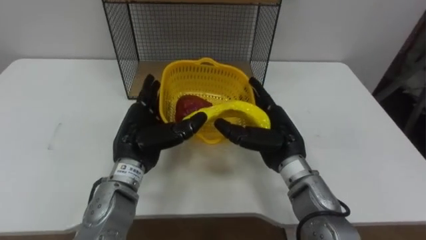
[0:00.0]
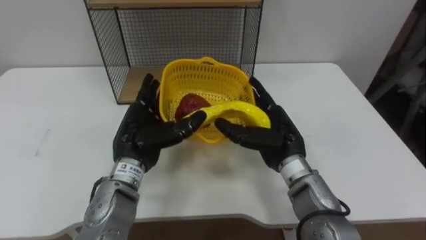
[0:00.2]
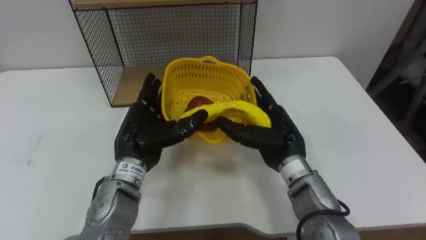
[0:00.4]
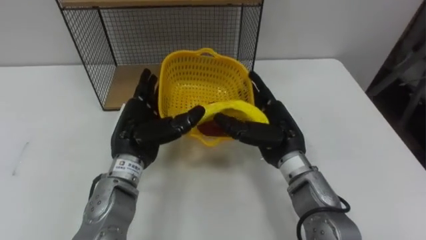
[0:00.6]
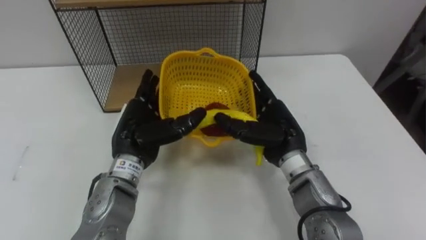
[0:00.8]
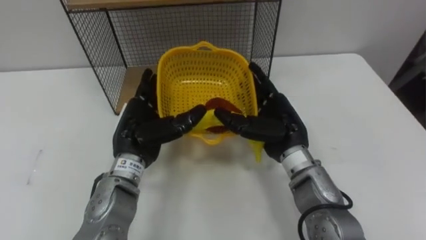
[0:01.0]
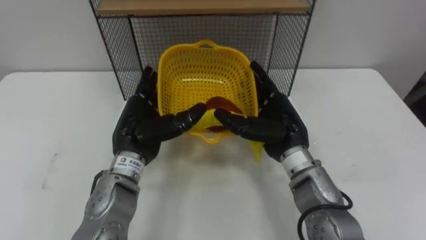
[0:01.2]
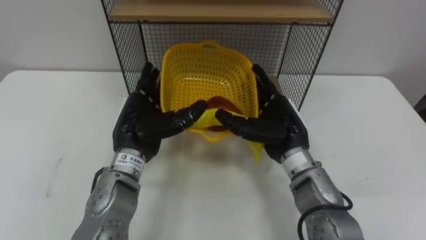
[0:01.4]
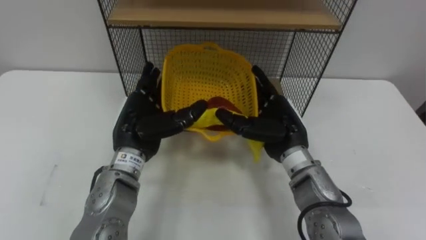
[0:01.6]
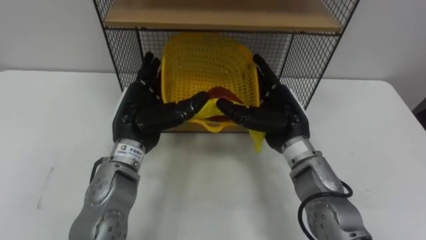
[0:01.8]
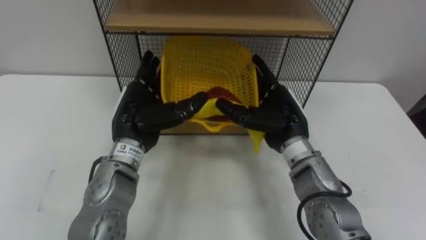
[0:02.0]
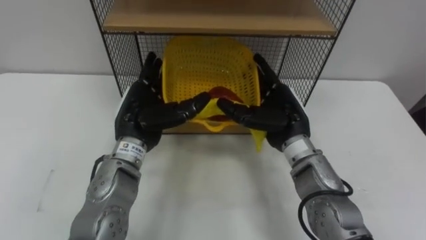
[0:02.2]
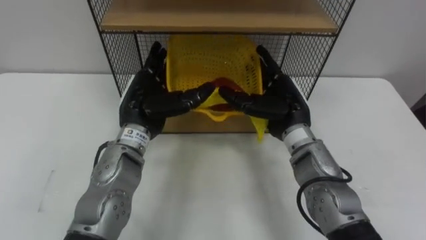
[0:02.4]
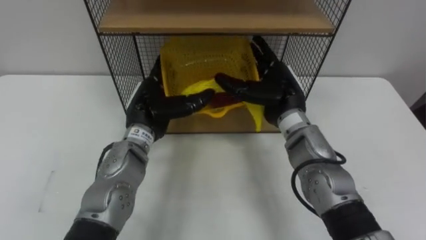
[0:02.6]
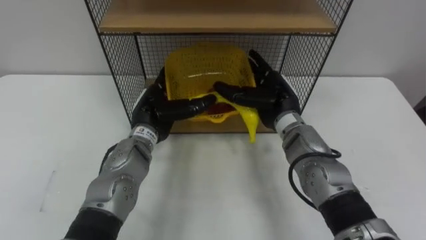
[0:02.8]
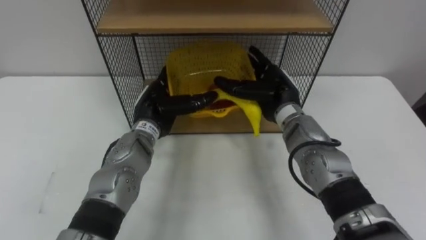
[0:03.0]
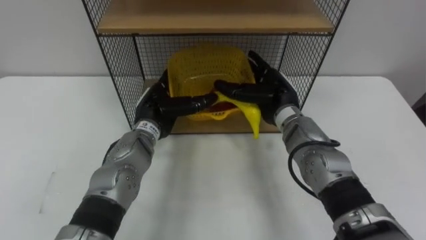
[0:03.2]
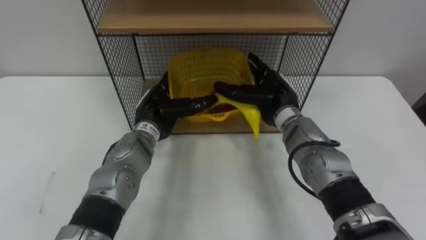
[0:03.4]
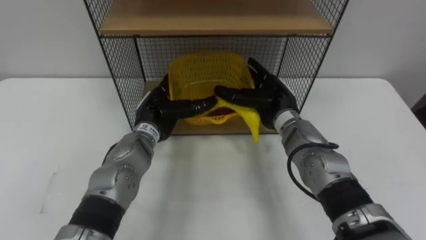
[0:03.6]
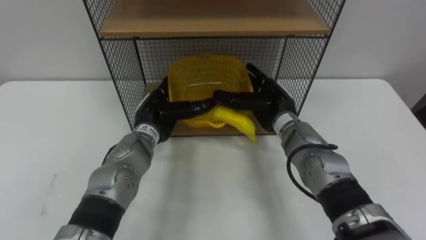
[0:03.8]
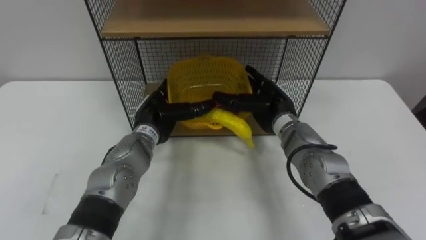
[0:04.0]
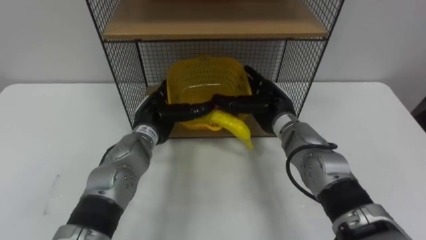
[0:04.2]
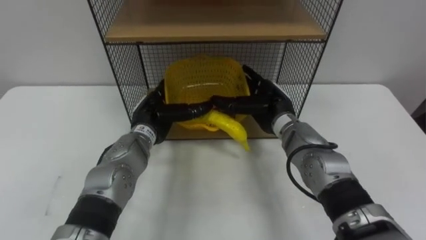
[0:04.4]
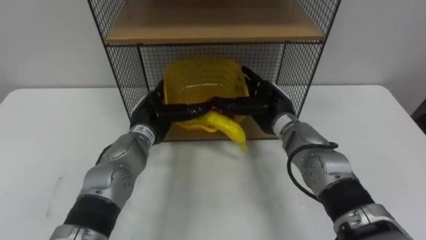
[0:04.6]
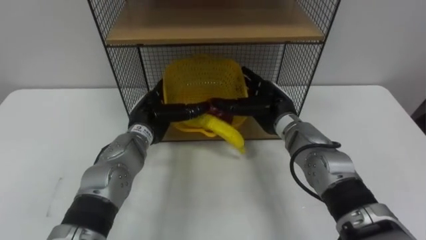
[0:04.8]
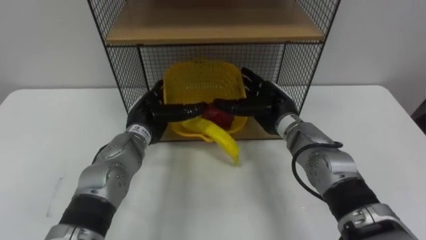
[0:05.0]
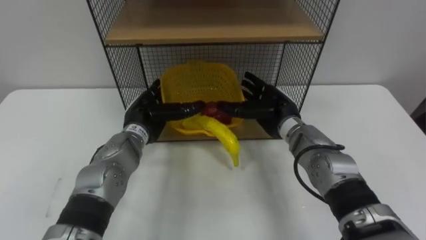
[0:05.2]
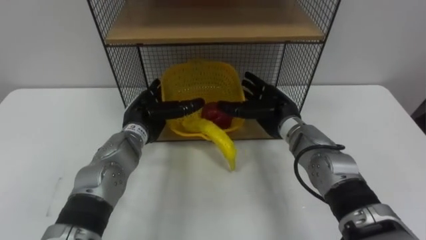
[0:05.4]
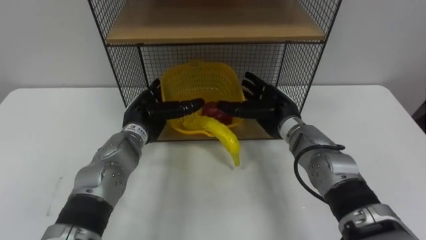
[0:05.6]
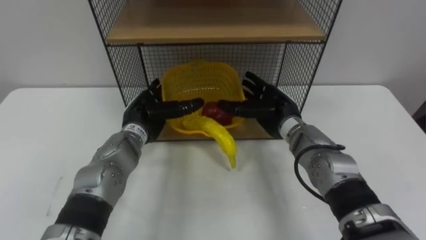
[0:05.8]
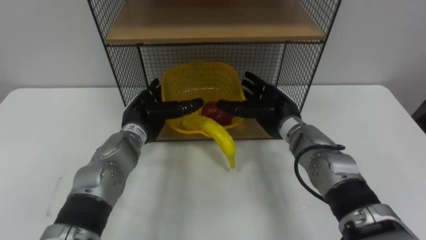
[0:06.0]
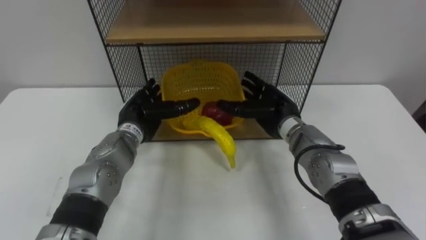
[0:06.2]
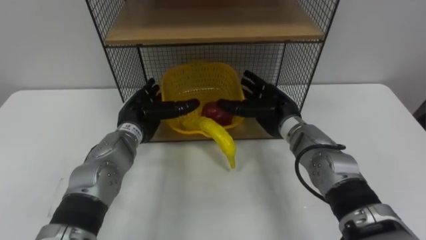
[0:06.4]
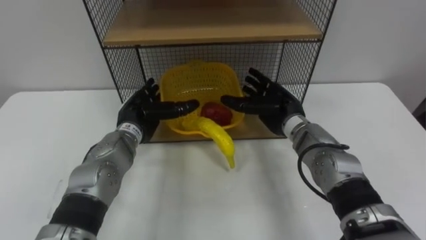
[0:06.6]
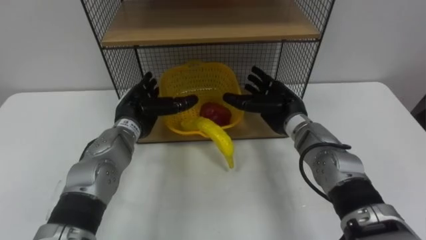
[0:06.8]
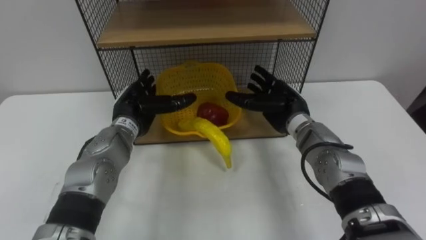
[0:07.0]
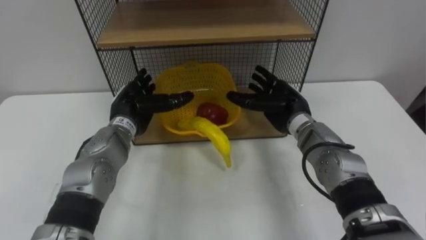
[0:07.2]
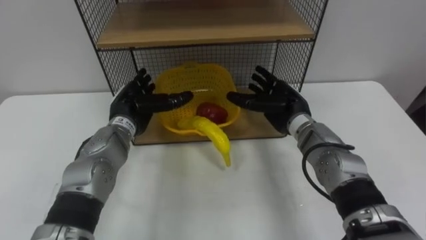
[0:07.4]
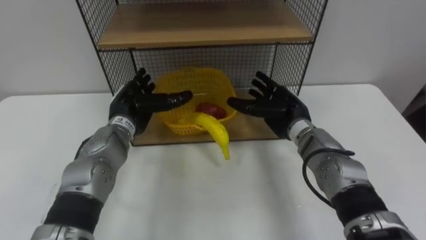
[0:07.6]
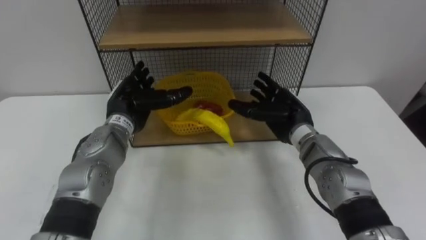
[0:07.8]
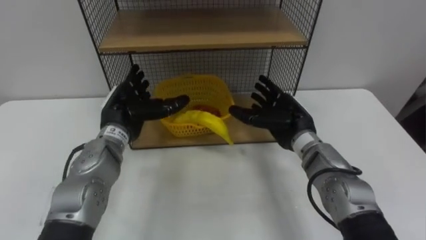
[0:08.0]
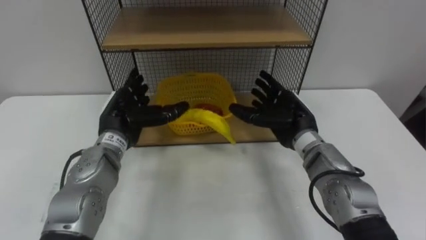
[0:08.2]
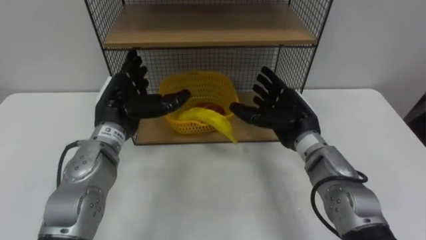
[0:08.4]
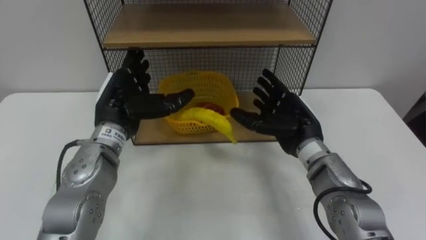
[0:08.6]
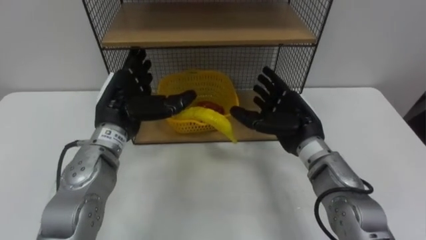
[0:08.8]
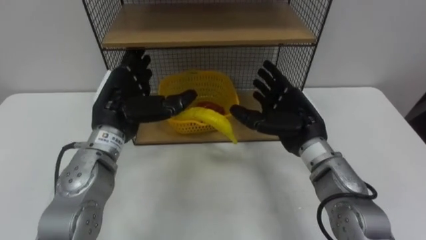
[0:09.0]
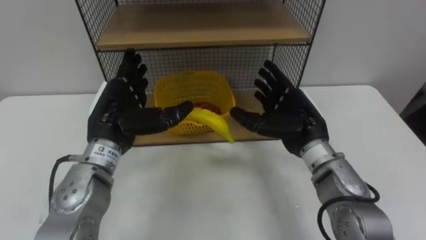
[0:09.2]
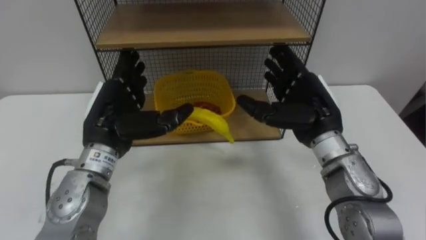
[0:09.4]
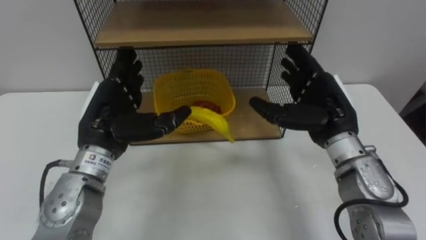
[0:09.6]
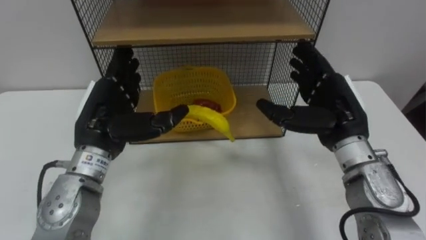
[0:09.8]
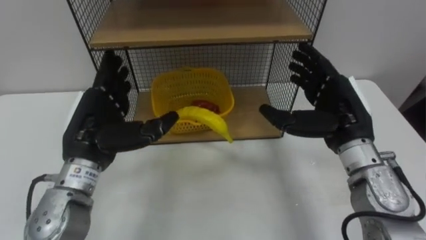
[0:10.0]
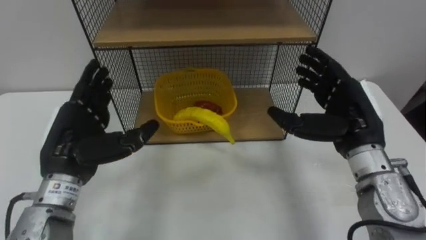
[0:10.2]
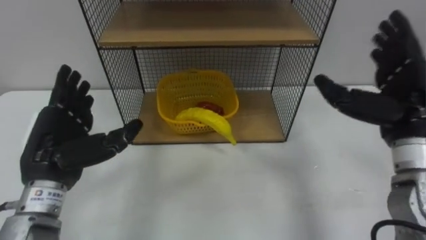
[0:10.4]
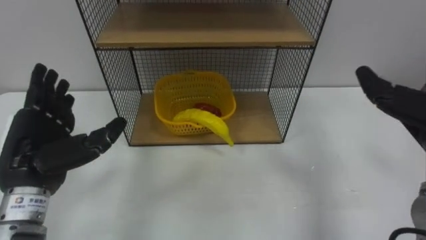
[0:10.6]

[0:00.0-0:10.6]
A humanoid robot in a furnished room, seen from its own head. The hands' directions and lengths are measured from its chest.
Task of the whole recording: Put the fruit on the table into the basket, then place the basket on the shelf.
0:01.6 to 0:03.0: Both hands travel together forward, approximately 5 cm.
0:04.6 to 0:06.0: There are only small adjustments of the hands.
0:07.6 to 0:09.0: The left hand heads upward and backward, covering approximately 10 cm, while the right hand shifts about 5 cm backward.
0:09.0 to 0:10.6: The left hand shifts some 15 cm to the left and backward.

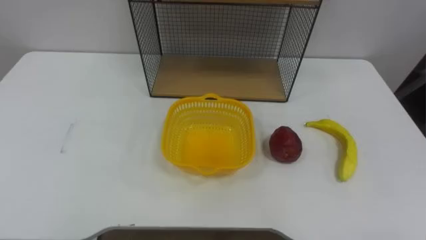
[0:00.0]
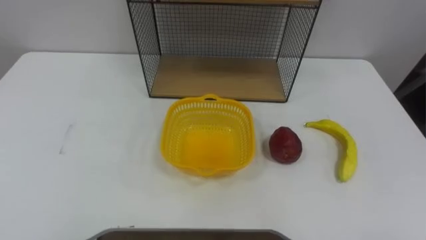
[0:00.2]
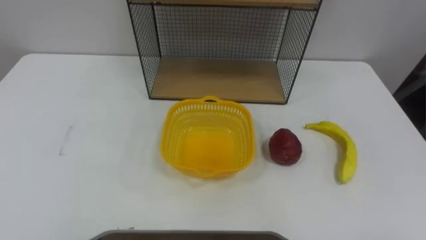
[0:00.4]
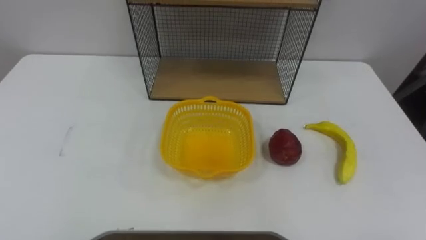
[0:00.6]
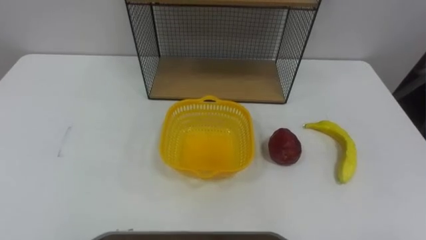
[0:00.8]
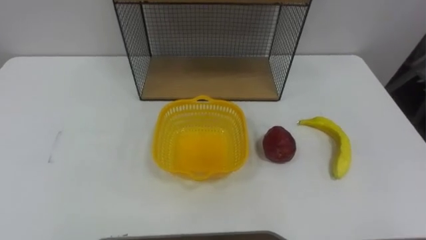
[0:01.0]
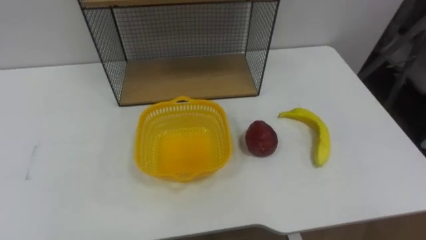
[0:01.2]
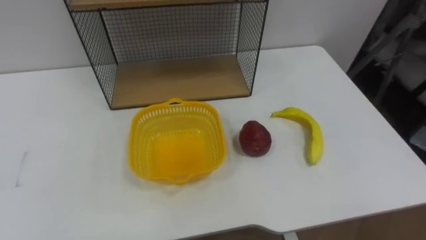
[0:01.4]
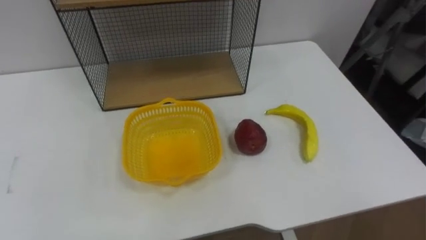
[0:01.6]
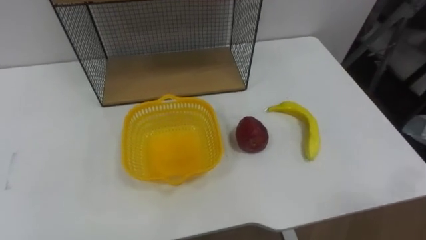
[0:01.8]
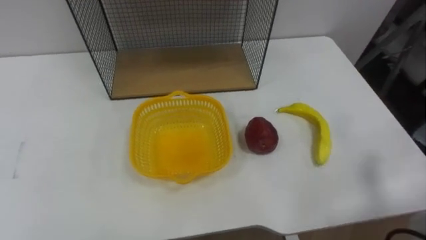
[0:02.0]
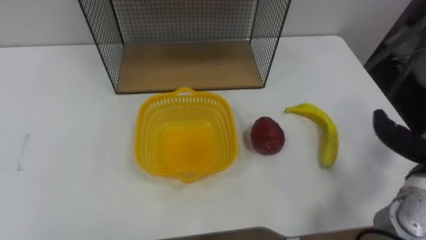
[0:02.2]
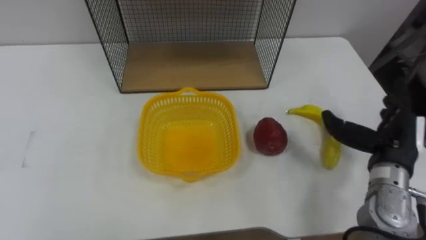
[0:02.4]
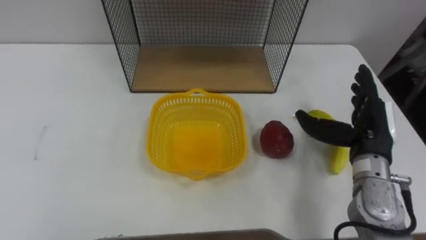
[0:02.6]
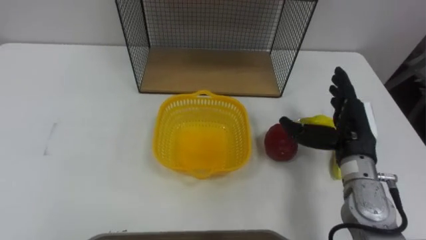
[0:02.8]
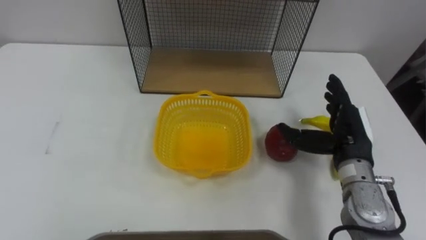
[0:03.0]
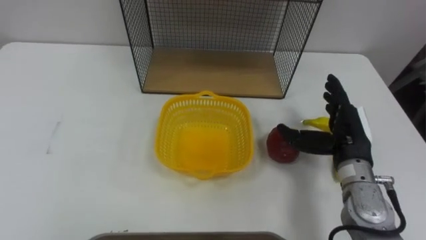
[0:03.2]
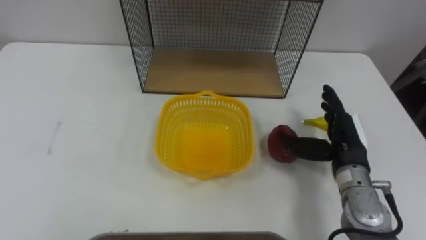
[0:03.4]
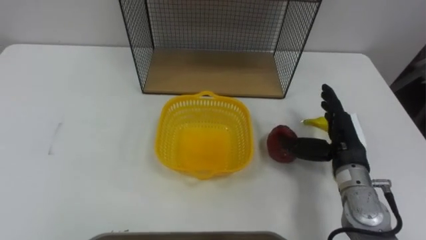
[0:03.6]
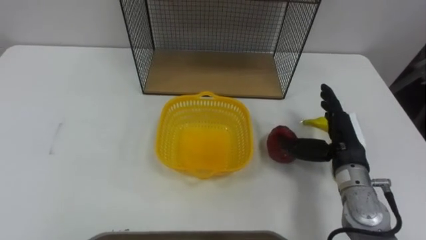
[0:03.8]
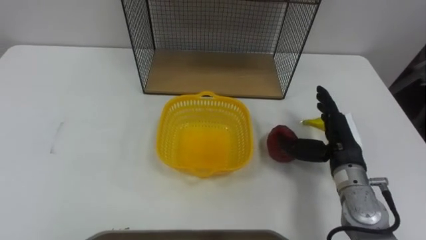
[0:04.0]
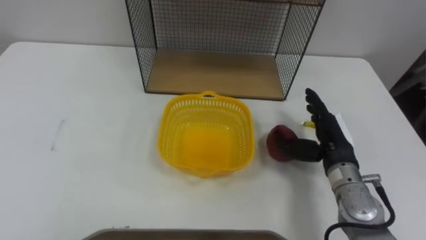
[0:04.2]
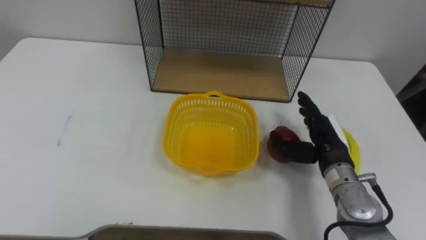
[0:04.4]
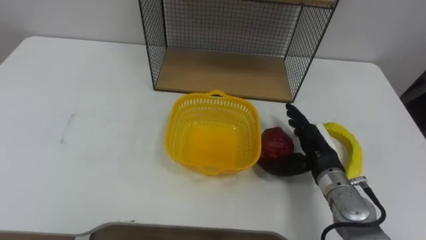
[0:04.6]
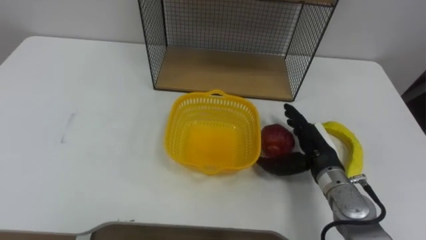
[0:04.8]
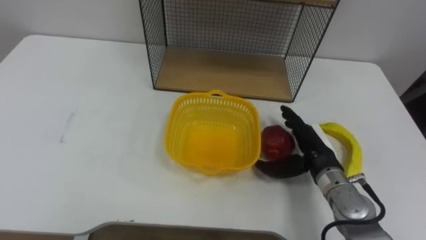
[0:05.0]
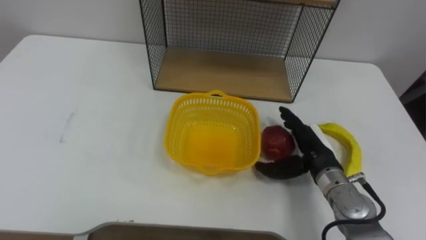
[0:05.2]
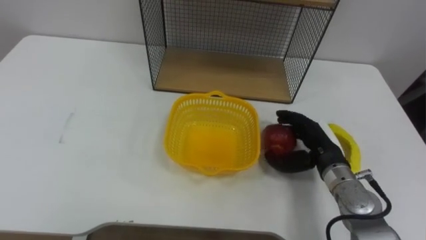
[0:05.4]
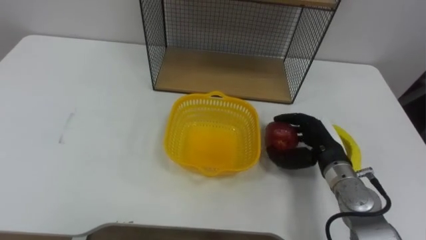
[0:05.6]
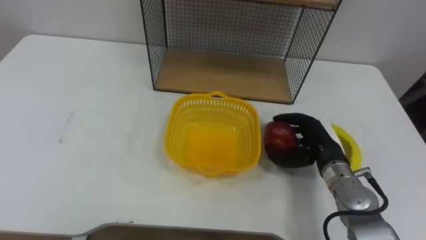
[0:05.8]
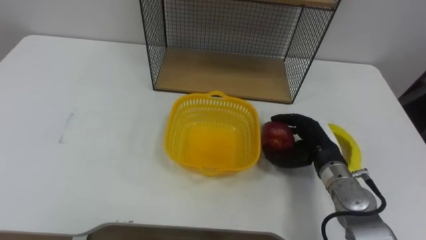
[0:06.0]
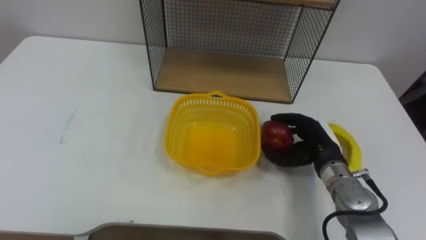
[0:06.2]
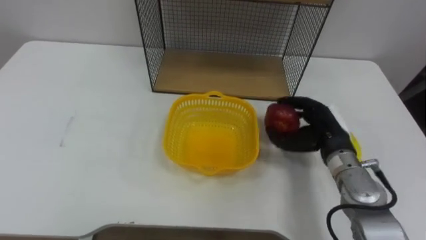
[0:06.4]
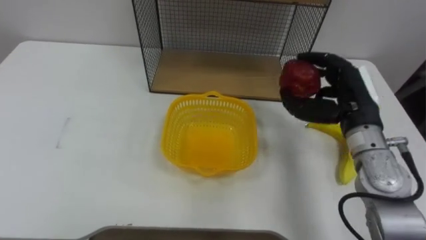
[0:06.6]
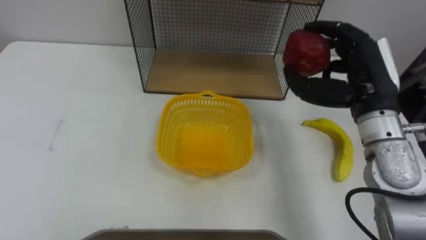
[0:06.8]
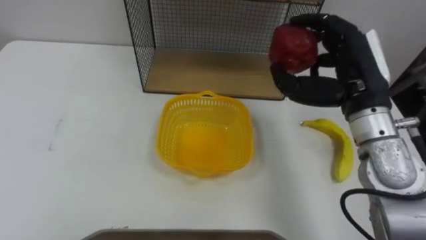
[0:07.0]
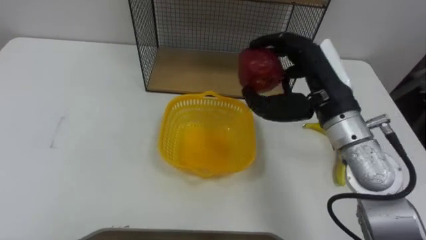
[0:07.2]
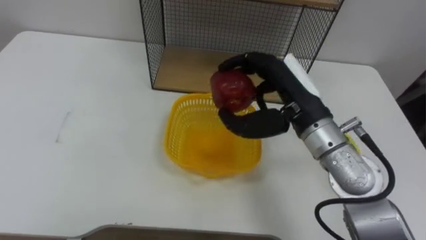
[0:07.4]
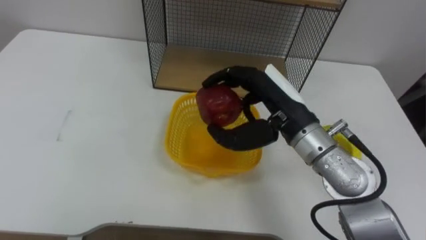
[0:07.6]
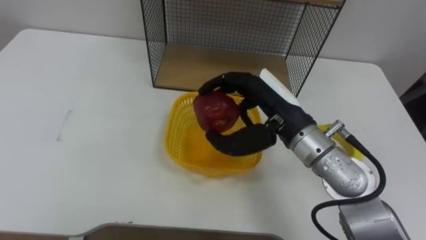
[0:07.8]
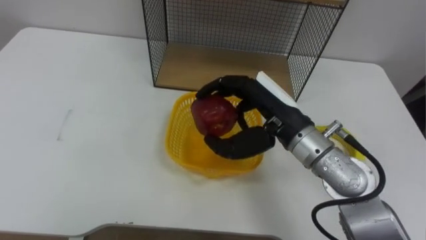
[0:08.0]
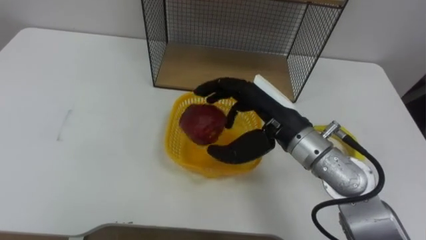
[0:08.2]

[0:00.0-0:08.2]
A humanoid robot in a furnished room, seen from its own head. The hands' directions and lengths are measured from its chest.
Task of the whole recording: Put the fruit on the table into the basket, then place the basket on the shelf.
0:03.2 to 0:05.0: The right hand goes approximately 5 cm downward.
0:05.0 to 0:06.6: The right hand travels upward by roughly 10 cm, and closes its fingers.
0:06.6 to 0:08.2: The right hand travels to the left by approximately 15 cm.
